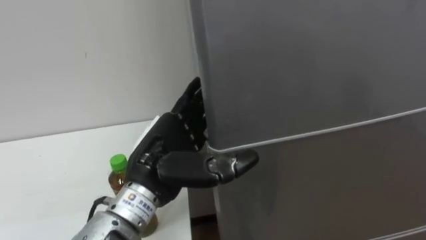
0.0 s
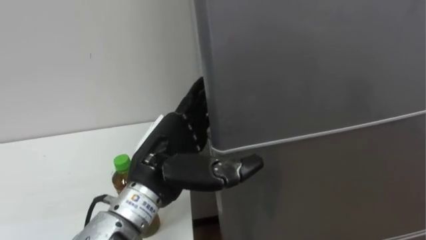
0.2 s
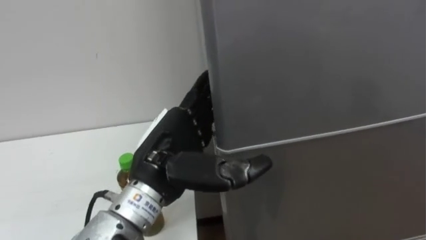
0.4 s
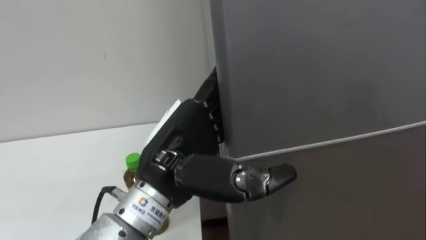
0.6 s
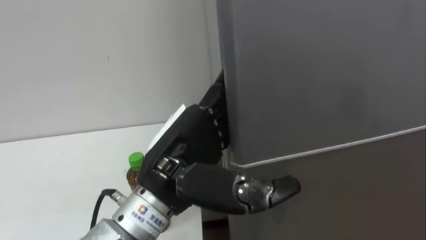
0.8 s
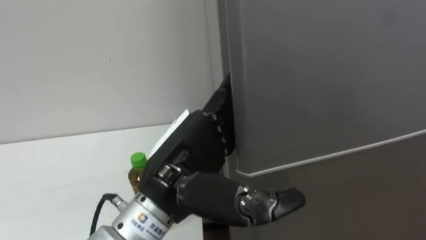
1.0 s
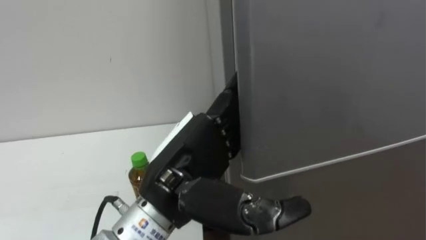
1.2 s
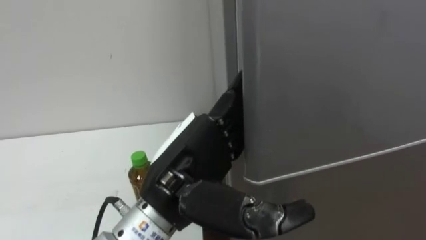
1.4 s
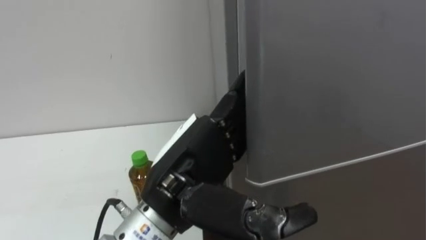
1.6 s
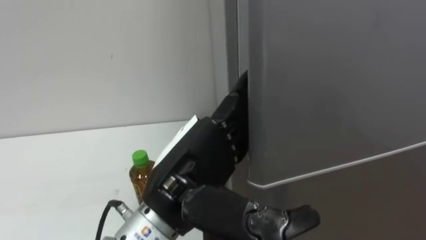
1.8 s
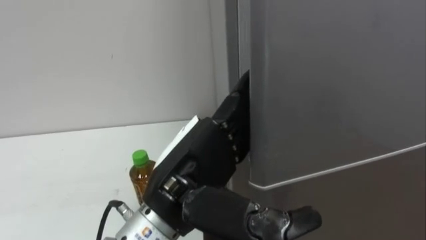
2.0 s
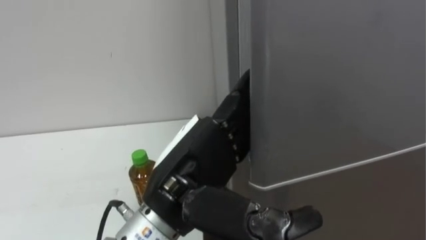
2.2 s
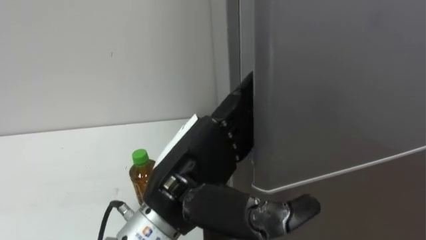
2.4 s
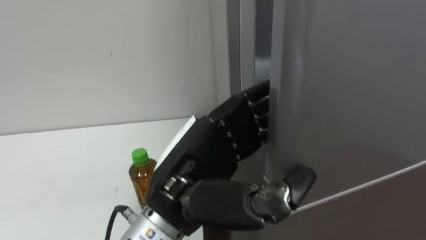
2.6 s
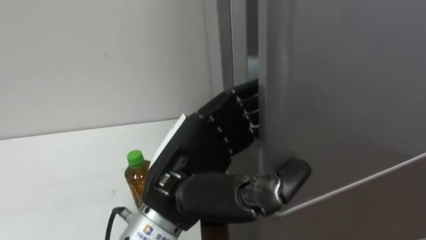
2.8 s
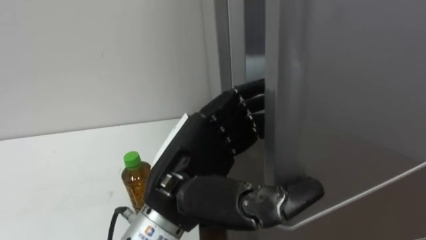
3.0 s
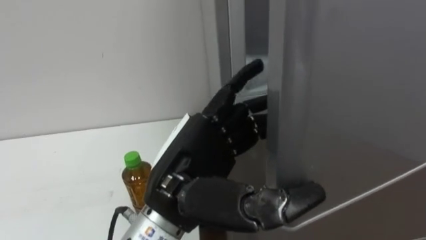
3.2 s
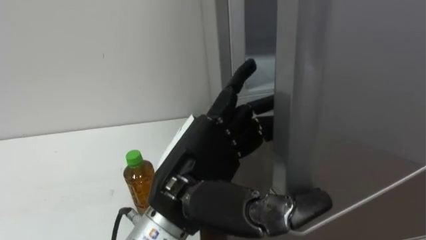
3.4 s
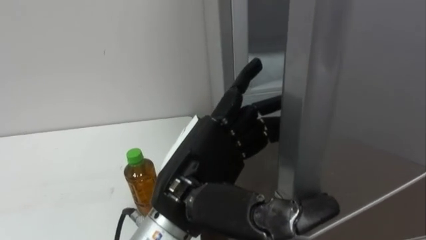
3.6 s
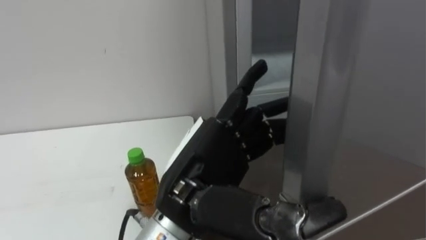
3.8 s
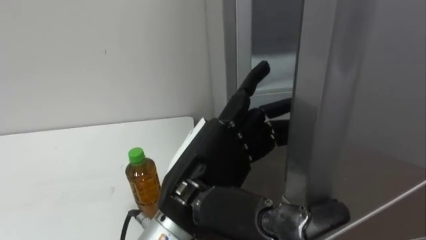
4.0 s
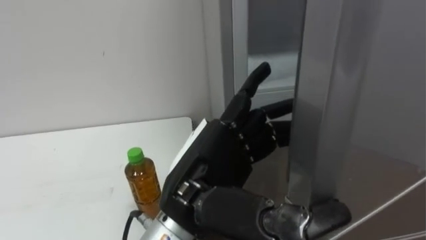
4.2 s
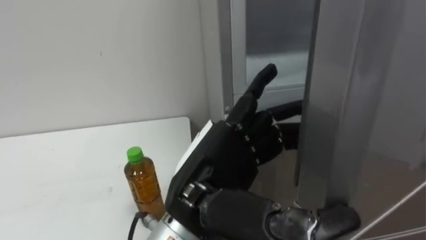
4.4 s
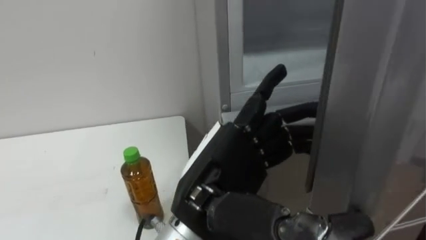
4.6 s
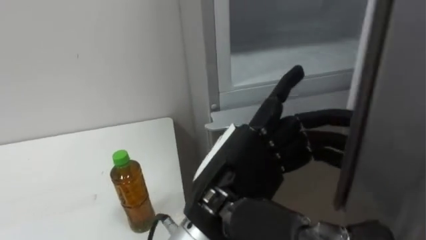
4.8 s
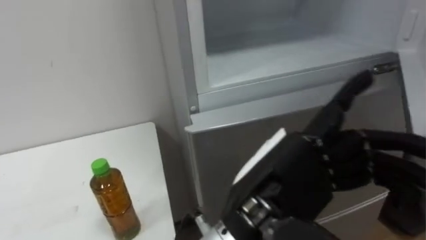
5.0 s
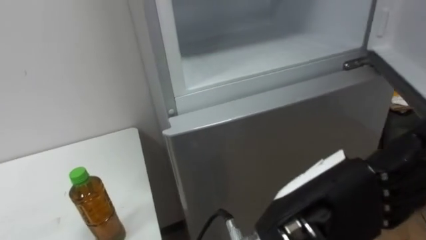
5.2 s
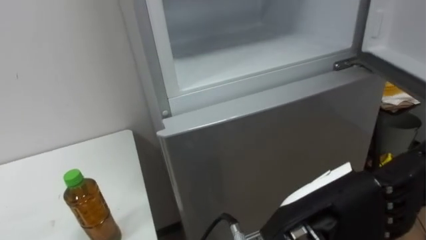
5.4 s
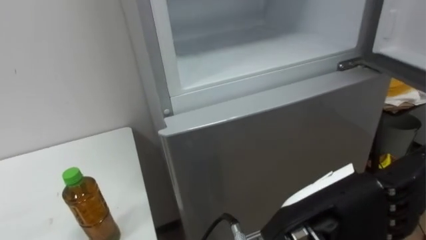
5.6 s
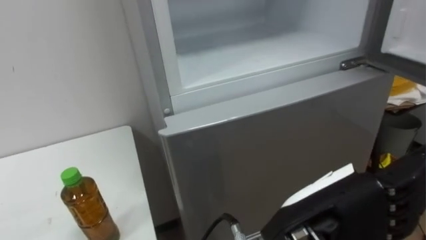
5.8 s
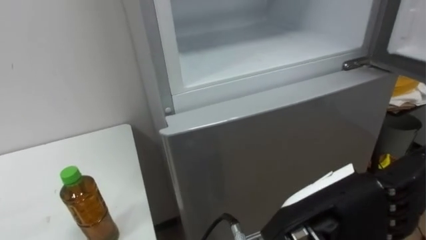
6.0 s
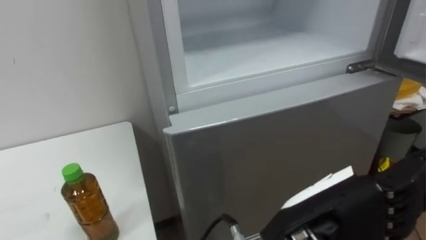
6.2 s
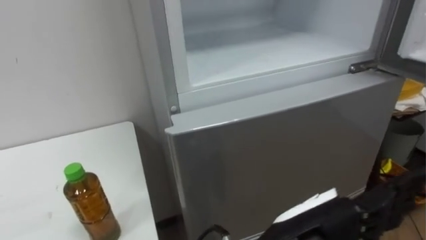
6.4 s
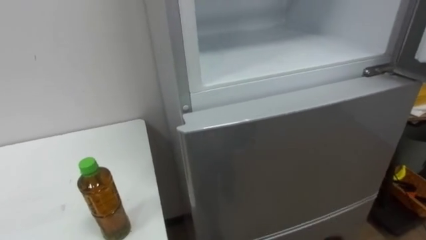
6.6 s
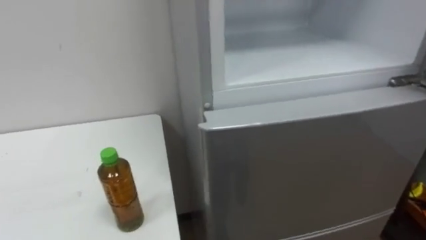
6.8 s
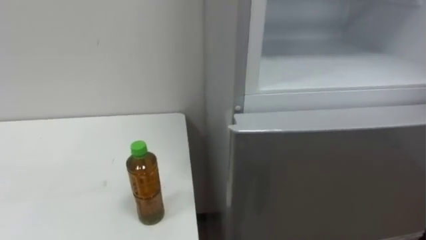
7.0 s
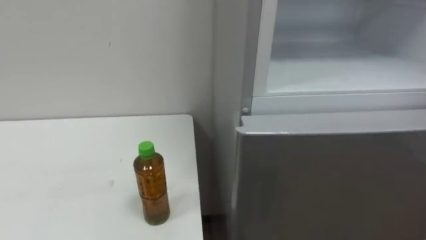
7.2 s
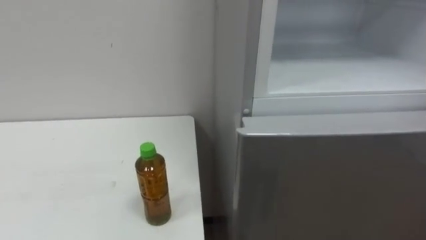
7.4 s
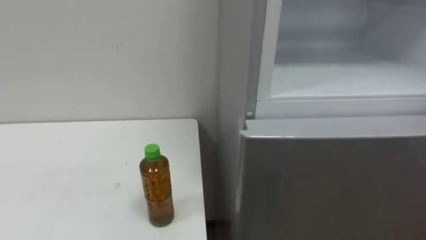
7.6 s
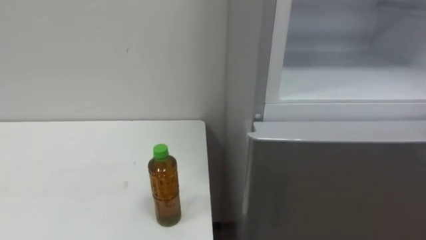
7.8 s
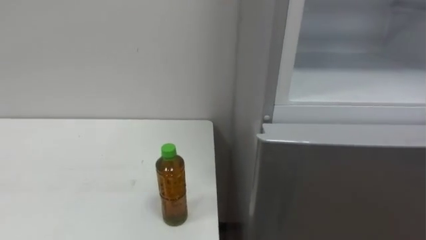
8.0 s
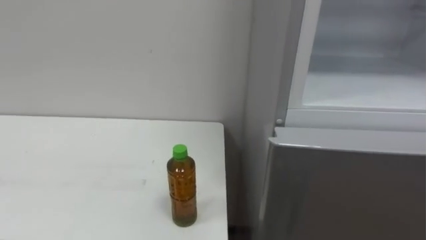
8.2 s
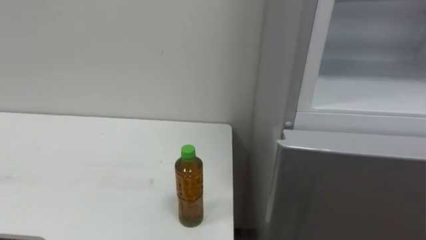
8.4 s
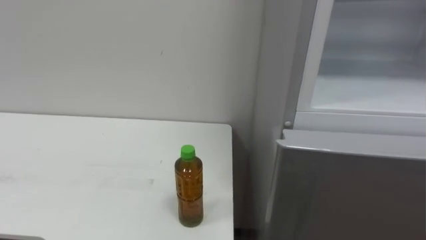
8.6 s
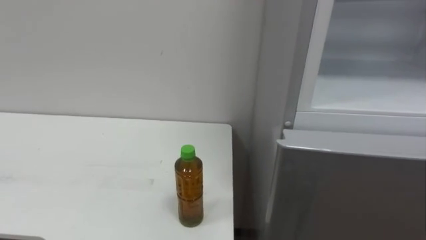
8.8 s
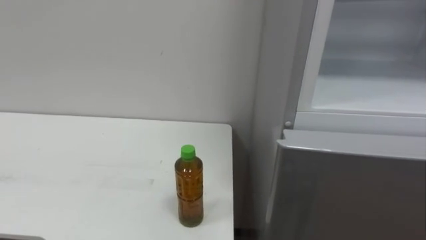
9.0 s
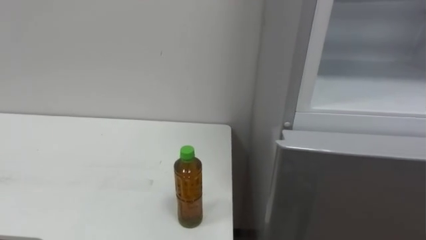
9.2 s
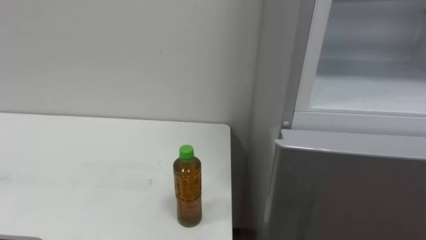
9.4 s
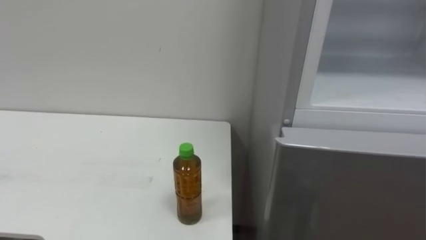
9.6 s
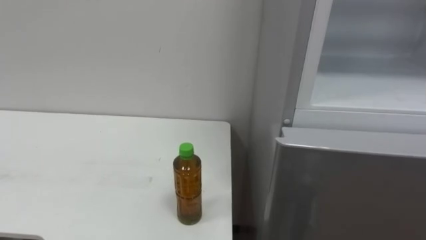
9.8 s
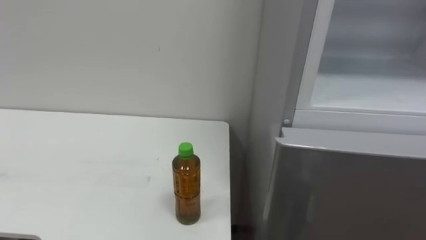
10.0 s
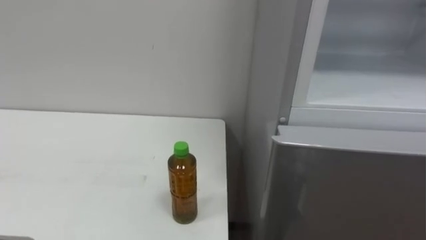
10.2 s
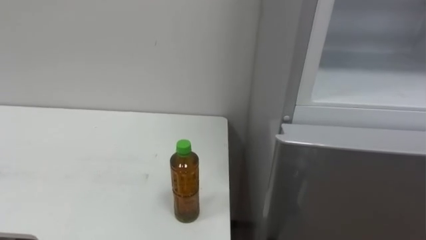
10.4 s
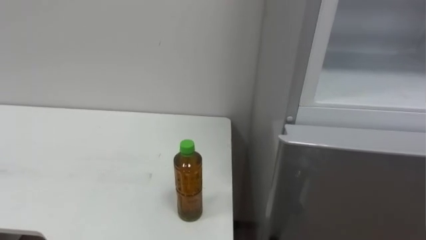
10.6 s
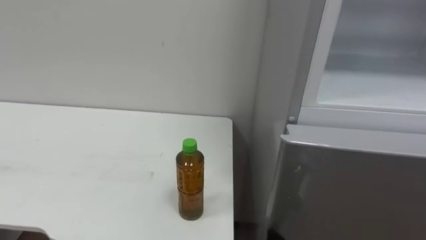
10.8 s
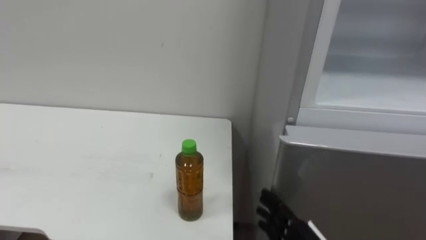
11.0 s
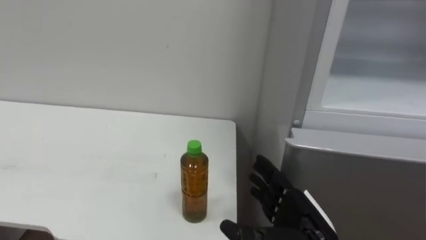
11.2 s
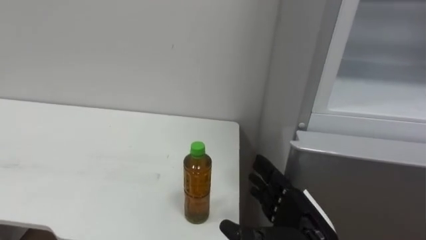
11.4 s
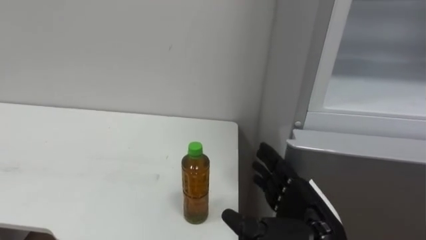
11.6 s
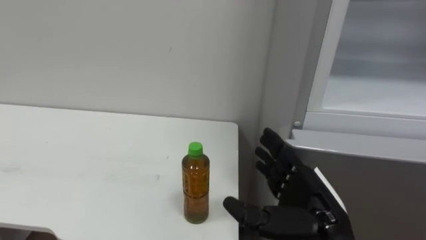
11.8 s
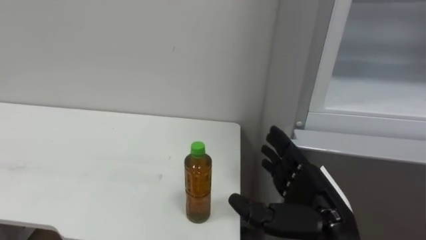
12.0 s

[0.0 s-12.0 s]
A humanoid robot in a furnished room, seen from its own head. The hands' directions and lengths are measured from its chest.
Task of the whole recording: Open the upper refrigerator door, put the drink from the table into the refrigerator, and then close the refrigerator door.
0.0 to 1.6 s: The left hand moves backward, approximately 5 cm.
1.6 to 3.0 s: The left hand closes.
3.0 to 4.4 s: The left hand opens.
4.4 to 6.0 s: The left hand is displaced to the right and backward by about 10 cm.

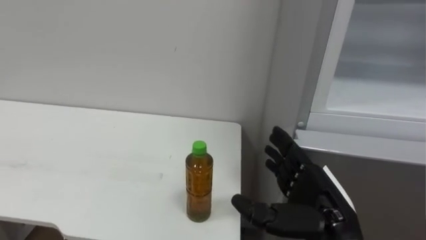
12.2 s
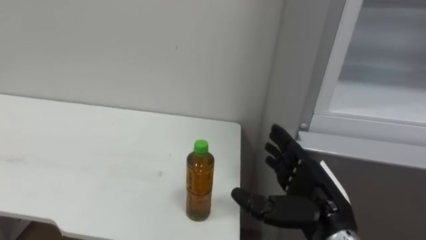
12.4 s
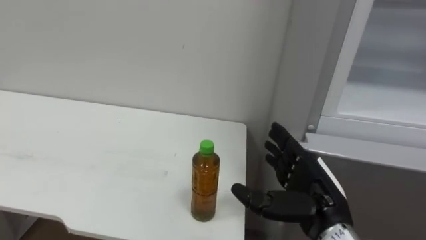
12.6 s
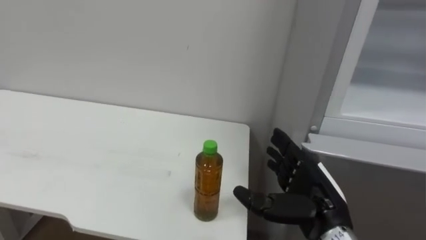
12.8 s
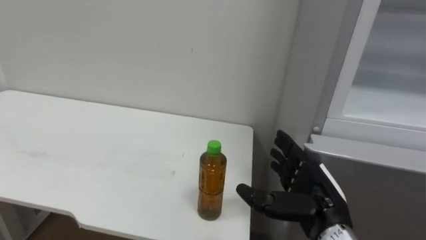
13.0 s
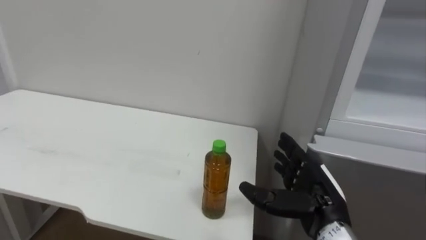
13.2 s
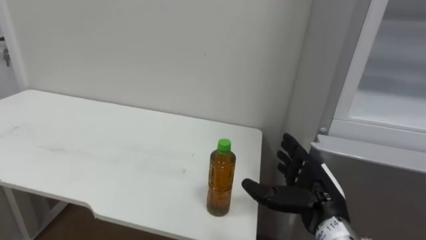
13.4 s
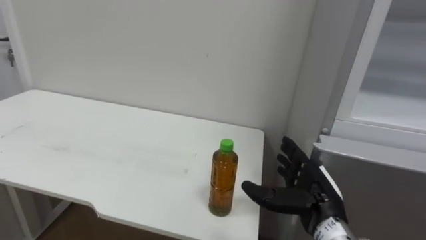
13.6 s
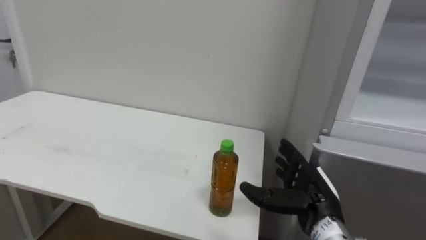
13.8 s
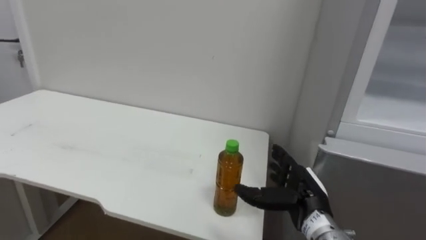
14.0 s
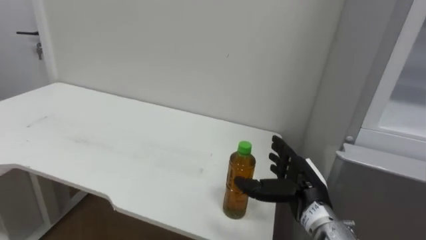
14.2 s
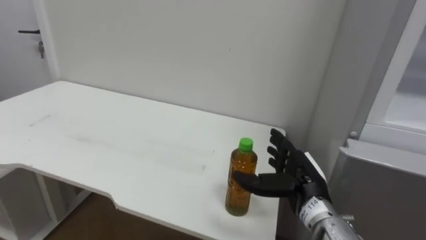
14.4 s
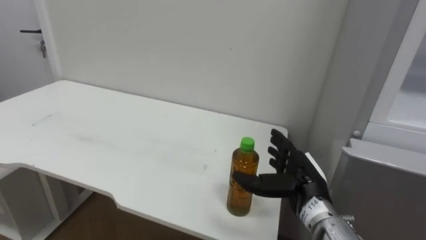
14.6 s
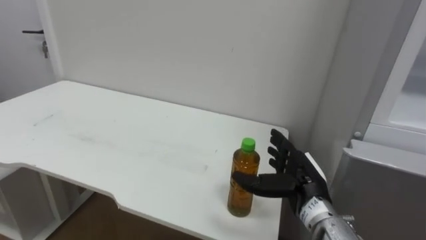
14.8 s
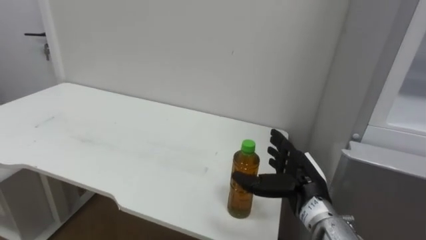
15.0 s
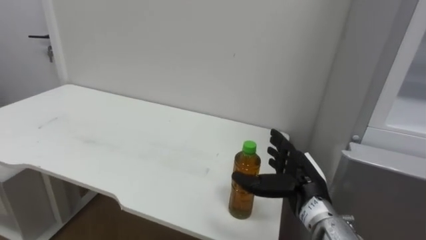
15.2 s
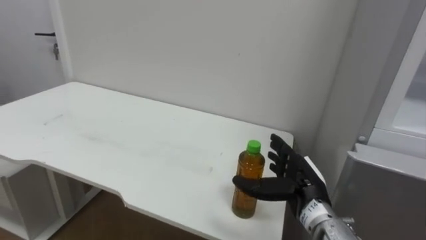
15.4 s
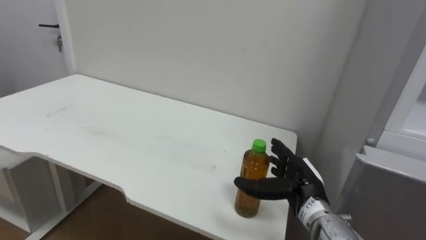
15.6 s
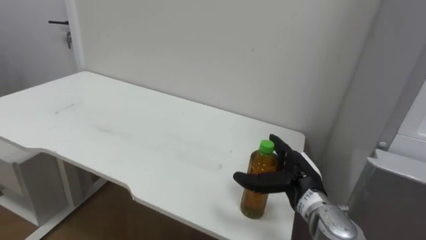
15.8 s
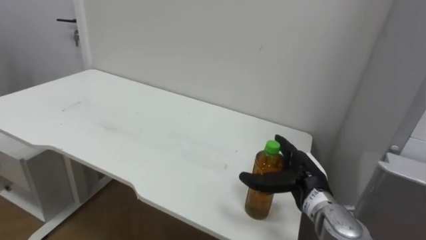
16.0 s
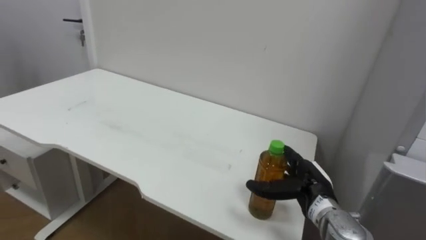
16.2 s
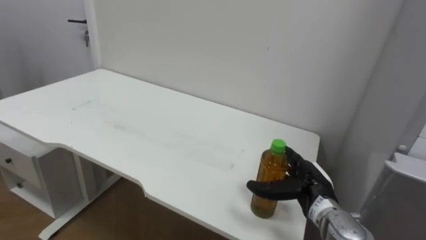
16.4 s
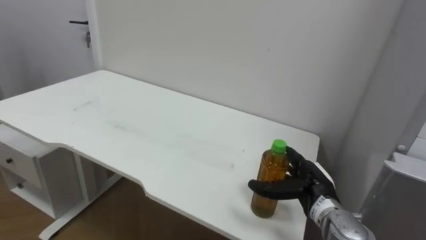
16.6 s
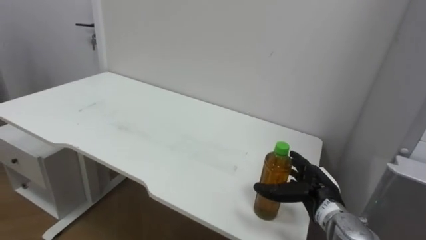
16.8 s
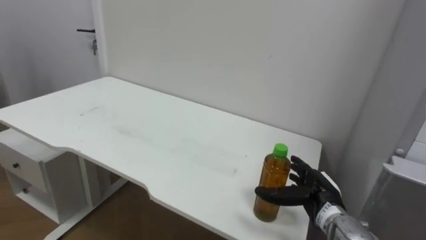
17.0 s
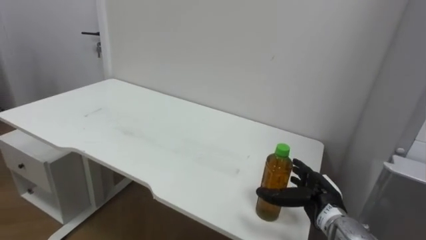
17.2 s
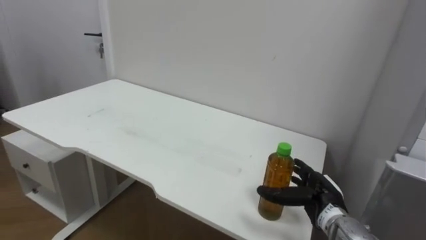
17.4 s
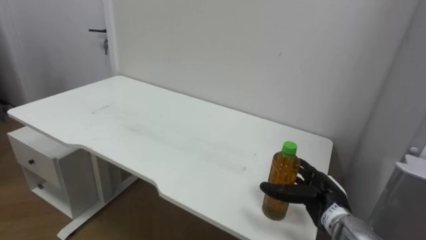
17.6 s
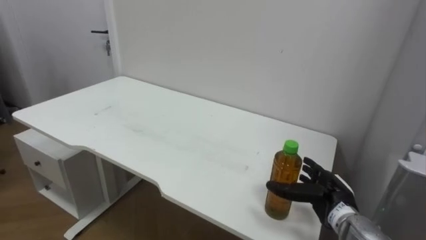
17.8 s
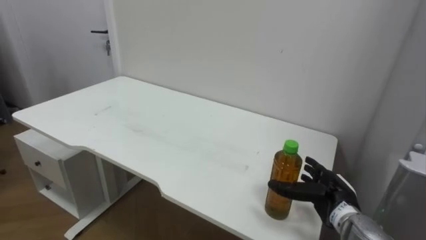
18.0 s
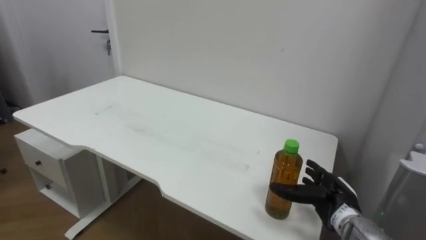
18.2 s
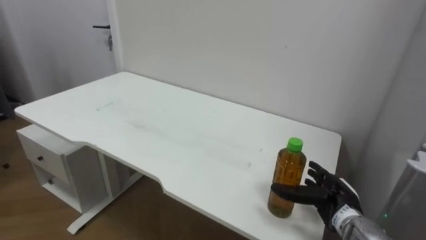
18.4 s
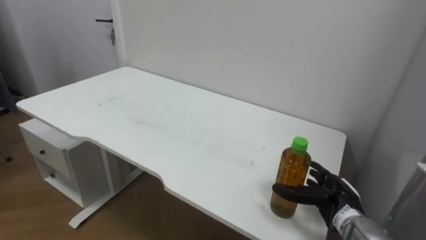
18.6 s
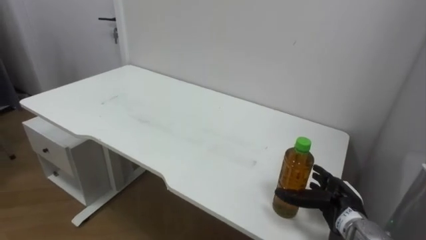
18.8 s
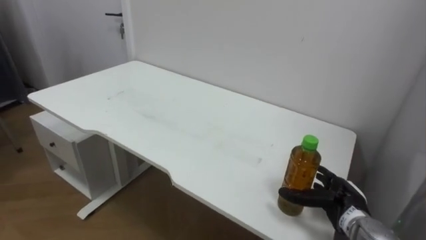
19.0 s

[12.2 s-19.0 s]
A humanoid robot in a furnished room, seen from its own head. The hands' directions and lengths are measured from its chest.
Task of the whole recording: Open the upper refrigerator door, put the drink from the table into the refrigerator, and then close the refrigerator door.
12.2 to 13.6 s: The right hand travels forward by some 5 cm.
